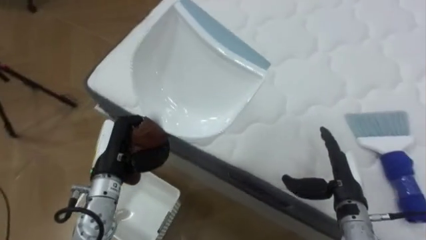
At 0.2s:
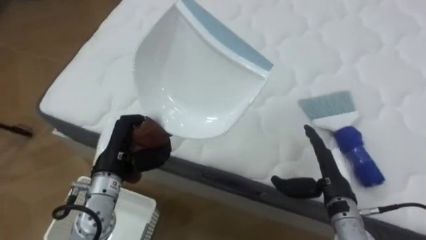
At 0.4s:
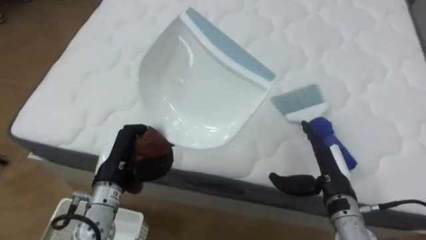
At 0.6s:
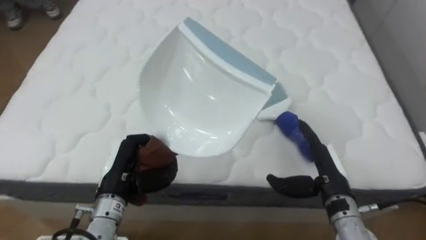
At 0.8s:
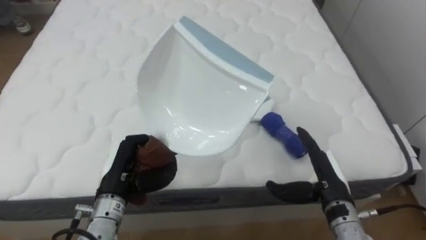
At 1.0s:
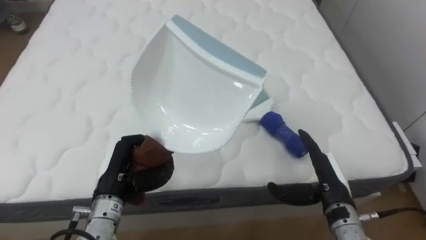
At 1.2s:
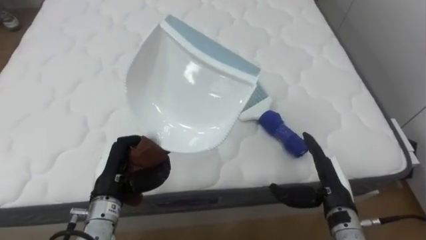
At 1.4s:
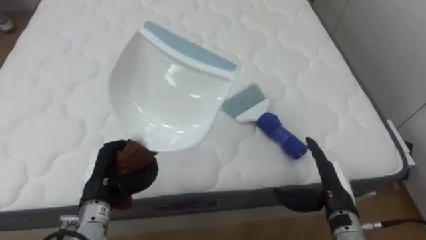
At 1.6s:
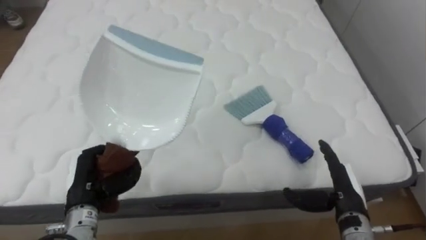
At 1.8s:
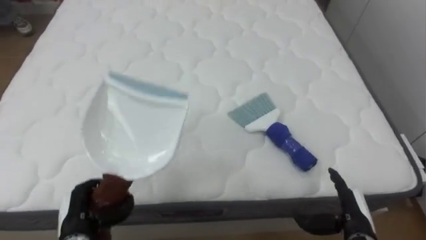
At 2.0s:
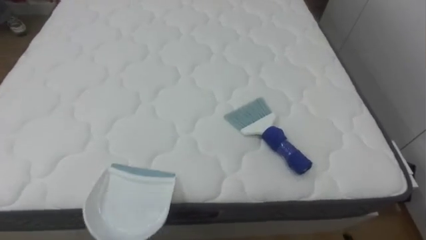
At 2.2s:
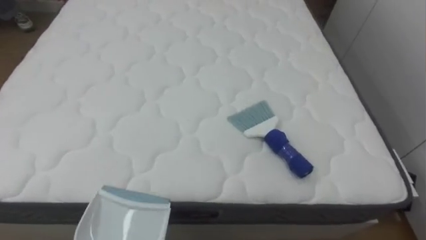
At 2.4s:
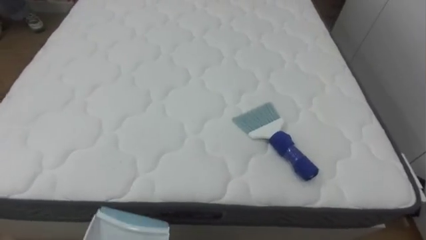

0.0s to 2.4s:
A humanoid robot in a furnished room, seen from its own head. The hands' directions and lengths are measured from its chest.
Task of the whole recording: Pick up the brush on your right and the dustpan on your left. Use the brush to sweep the crumpled paper on the bed into the dustpan, then turn left and empty it into the basket.
0.0s to 1.2s: The robot faces about 30 degrees further to its right.

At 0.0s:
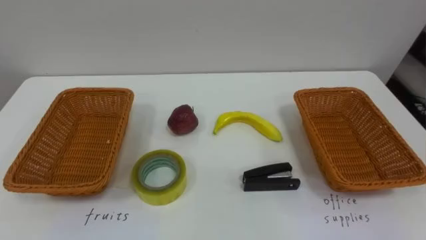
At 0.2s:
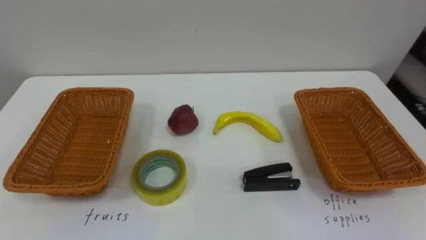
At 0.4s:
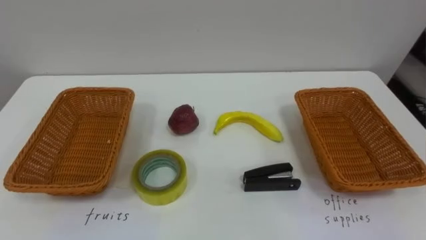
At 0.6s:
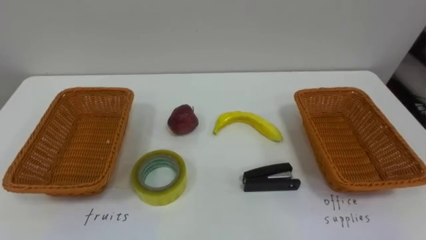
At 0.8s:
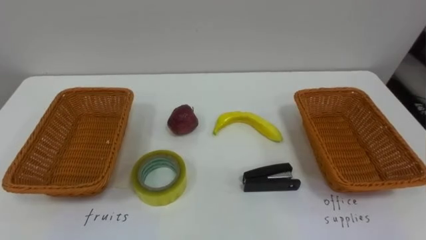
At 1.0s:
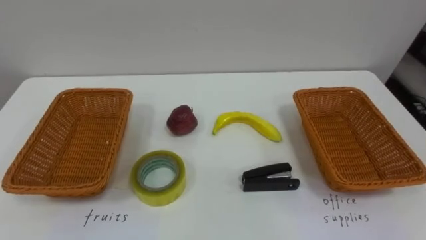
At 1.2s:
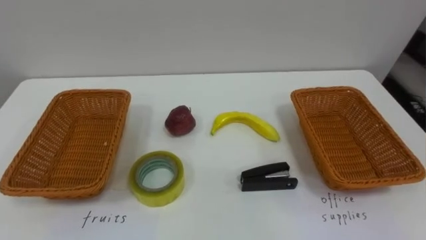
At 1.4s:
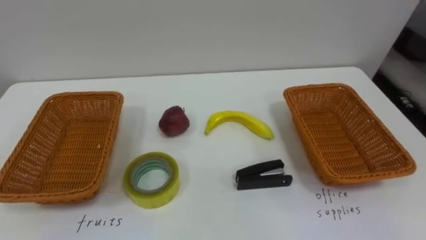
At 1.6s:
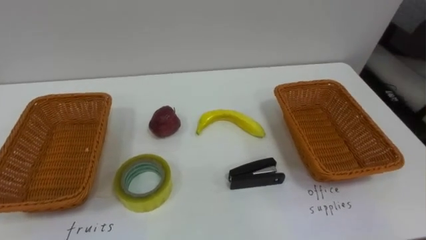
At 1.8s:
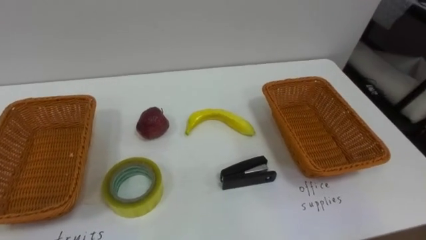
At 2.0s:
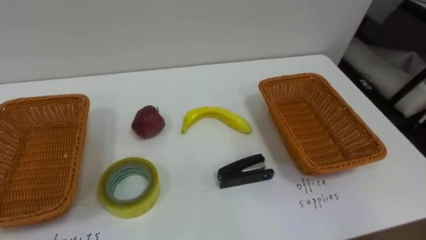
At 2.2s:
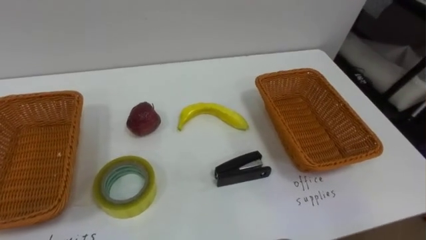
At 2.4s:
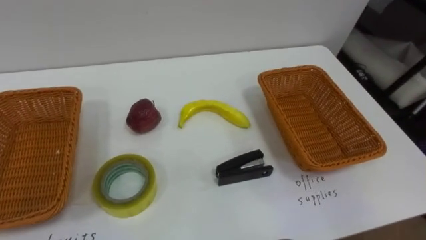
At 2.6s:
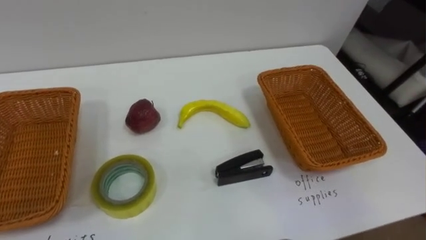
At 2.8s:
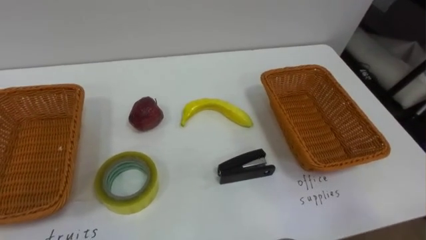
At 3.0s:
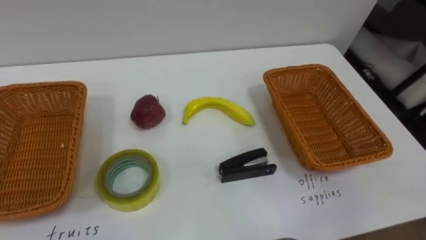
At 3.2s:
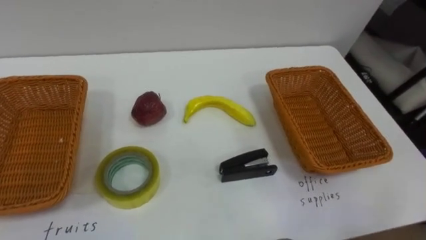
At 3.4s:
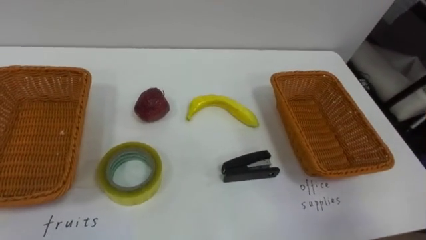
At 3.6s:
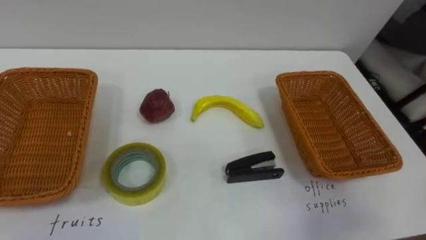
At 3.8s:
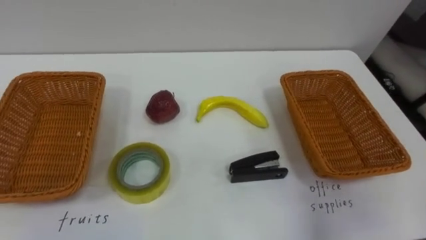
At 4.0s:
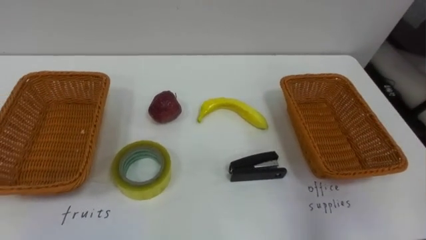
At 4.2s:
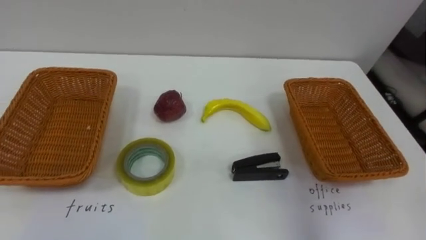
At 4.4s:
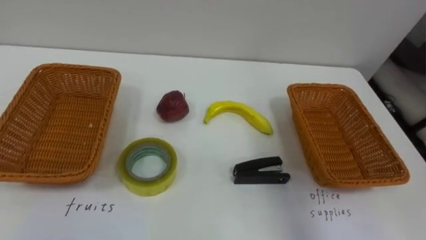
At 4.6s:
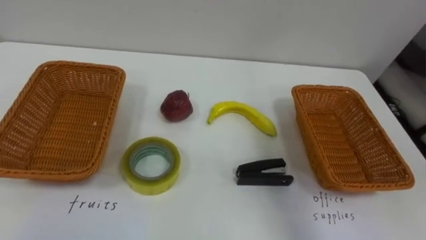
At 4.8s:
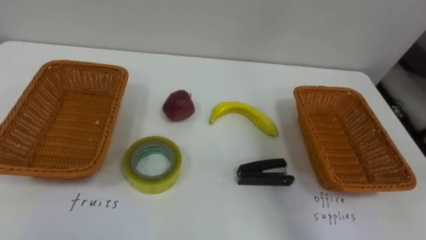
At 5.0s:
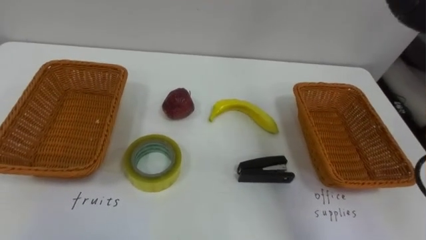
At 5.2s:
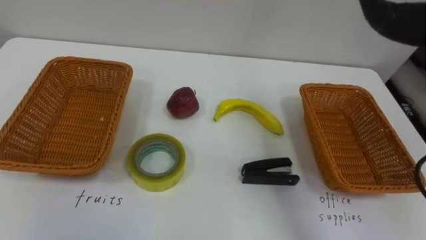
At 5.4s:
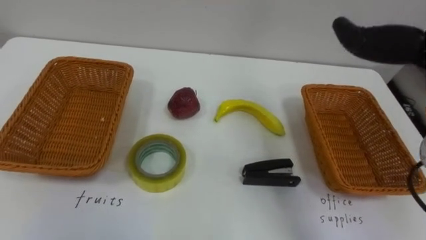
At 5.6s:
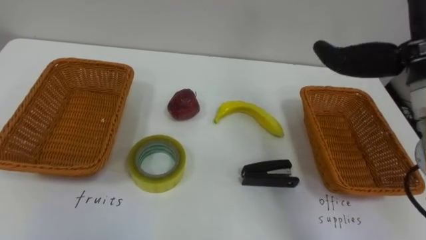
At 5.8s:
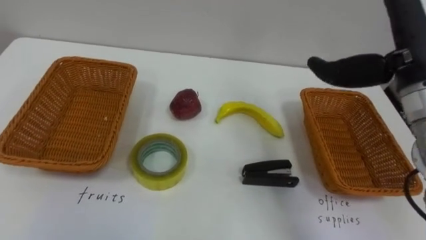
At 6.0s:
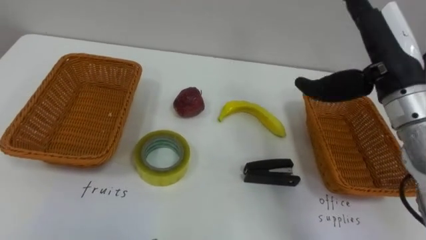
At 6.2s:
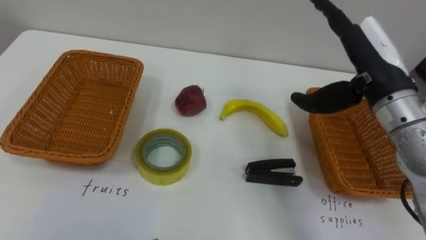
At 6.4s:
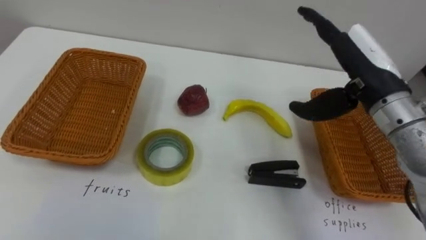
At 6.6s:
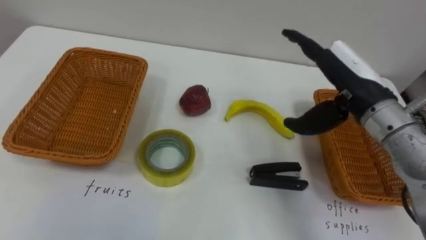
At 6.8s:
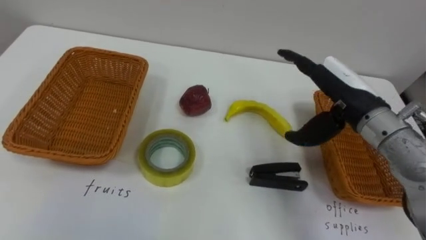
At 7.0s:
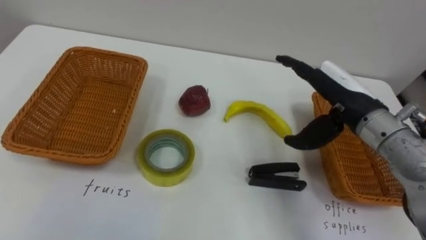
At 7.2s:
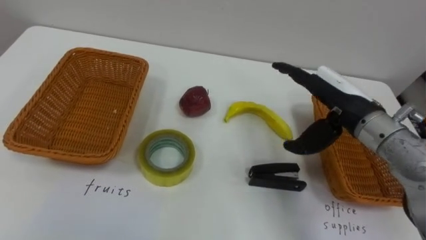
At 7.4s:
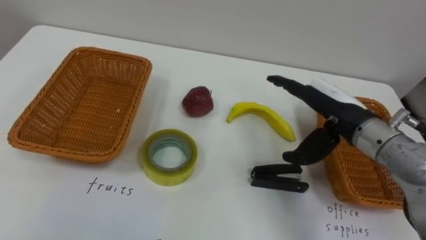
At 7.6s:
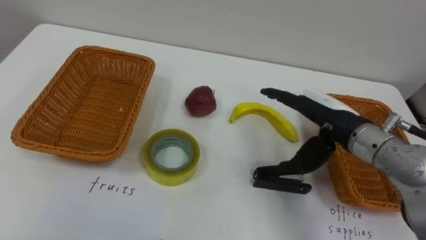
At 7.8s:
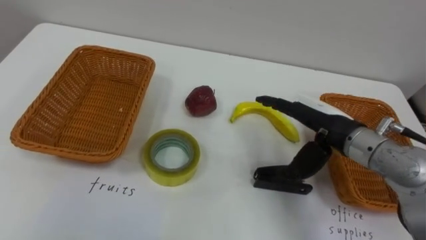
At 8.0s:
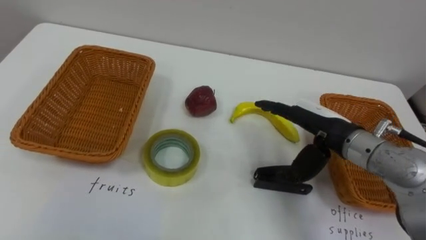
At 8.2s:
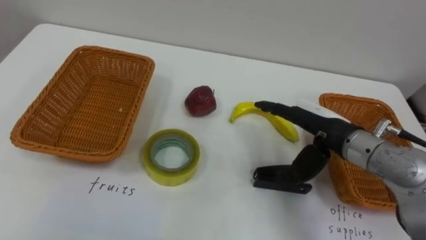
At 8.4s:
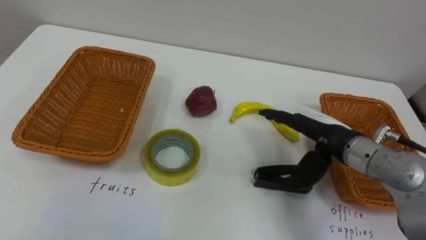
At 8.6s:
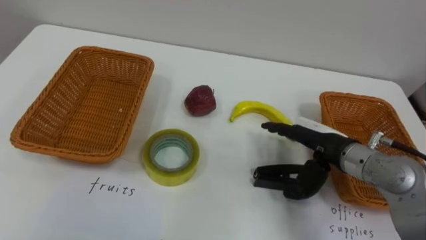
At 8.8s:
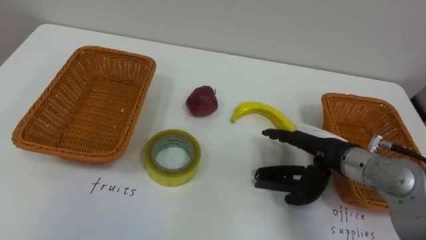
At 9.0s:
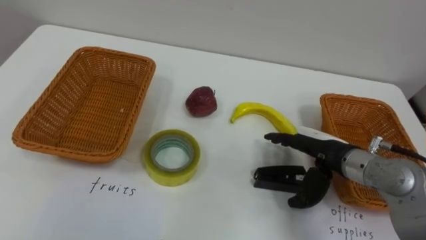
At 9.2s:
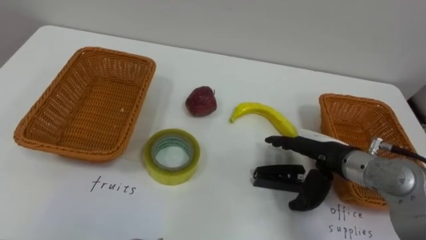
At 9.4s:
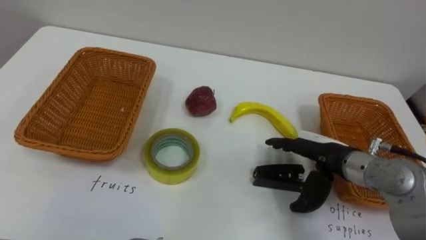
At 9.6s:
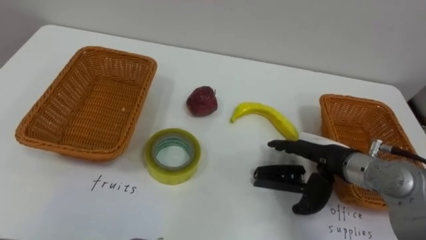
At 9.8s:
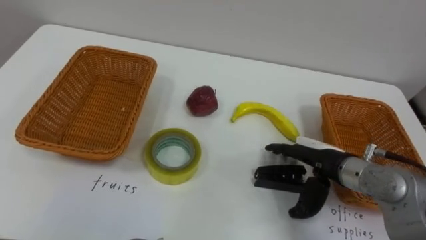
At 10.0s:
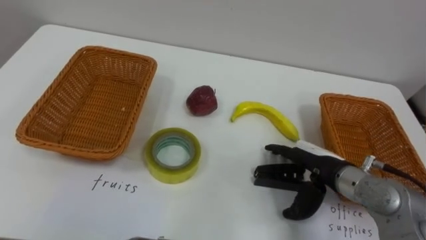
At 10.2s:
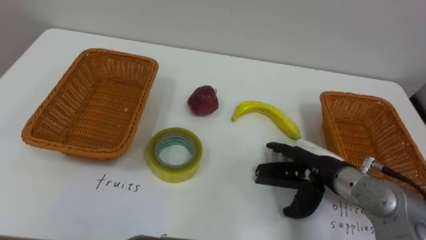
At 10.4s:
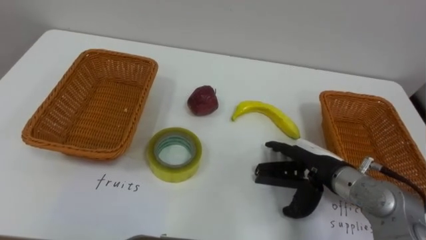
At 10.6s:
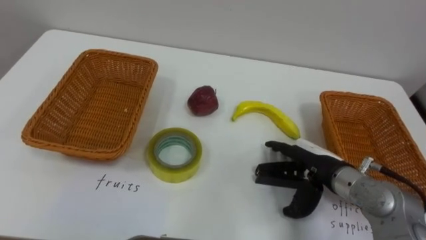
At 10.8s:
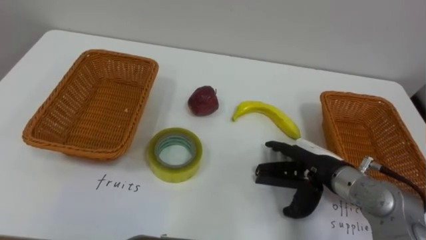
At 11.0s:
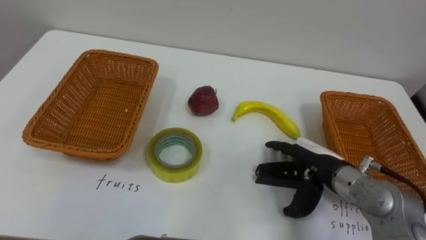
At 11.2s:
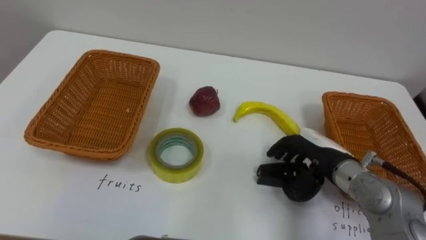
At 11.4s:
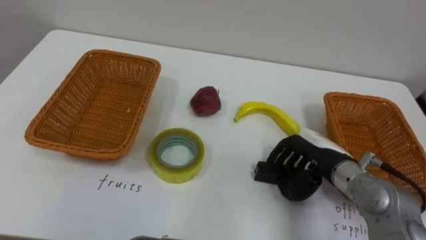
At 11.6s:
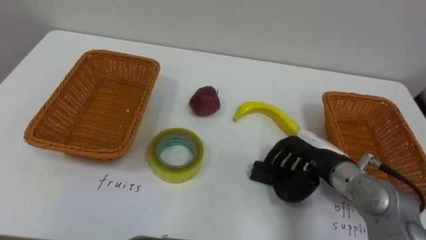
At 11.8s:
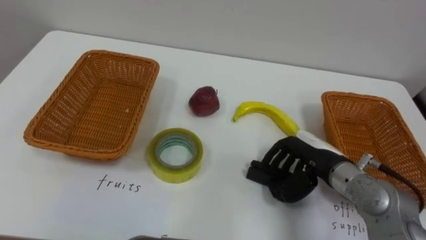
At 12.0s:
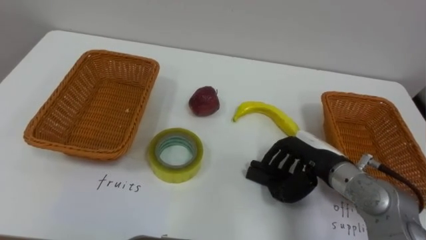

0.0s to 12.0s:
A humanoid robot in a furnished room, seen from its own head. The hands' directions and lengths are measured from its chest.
Task of the whole recording: Separate the items on the table and place them into the two baskets.
6.0s to 7.6s: The right hand shifts roughly 10 cm downward.
7.6s to 9.0s: The right hand moves downward, approximately 5 cm.
10.4s to 12.0s: The right hand closes its fingers.

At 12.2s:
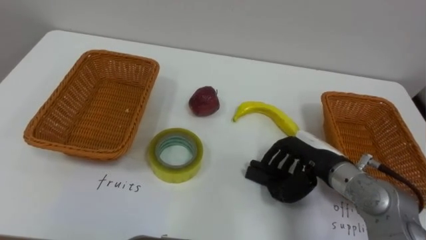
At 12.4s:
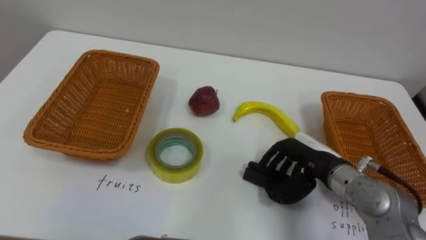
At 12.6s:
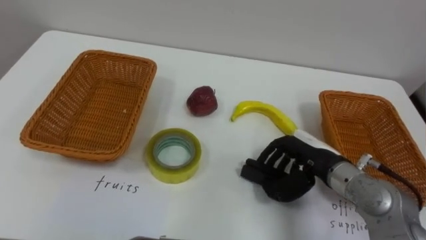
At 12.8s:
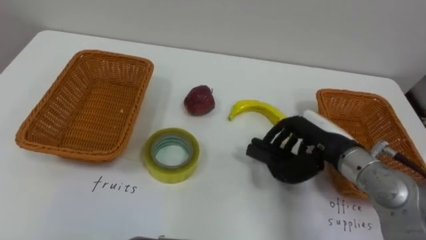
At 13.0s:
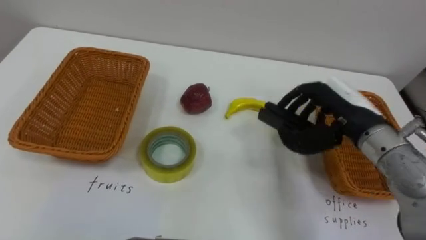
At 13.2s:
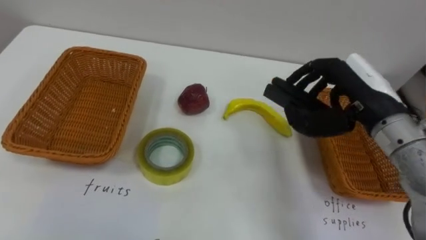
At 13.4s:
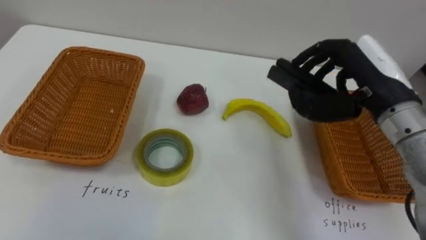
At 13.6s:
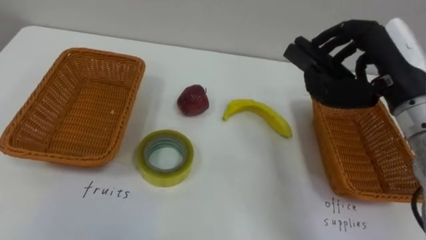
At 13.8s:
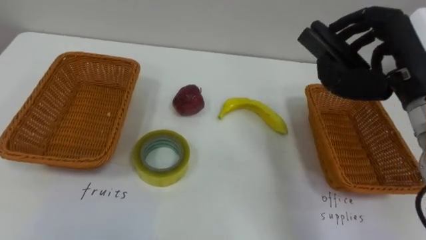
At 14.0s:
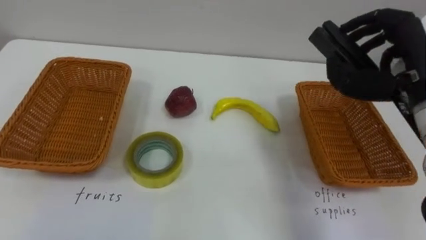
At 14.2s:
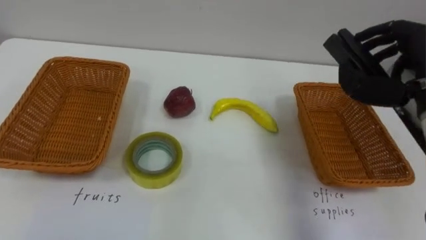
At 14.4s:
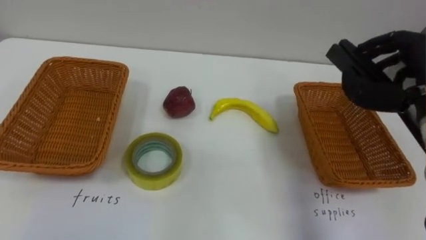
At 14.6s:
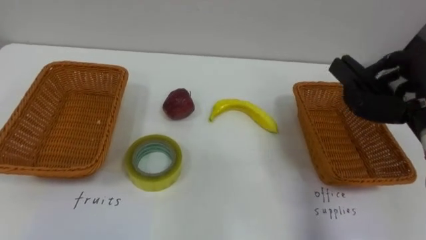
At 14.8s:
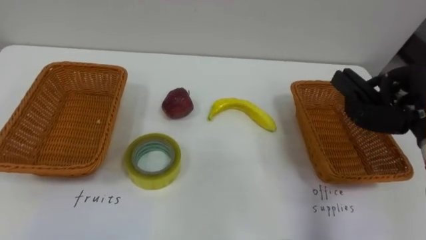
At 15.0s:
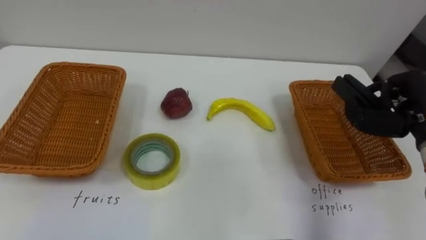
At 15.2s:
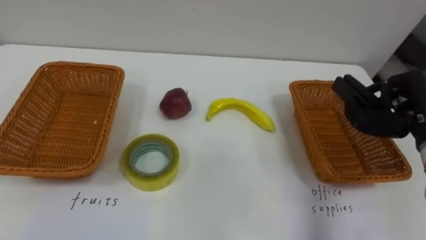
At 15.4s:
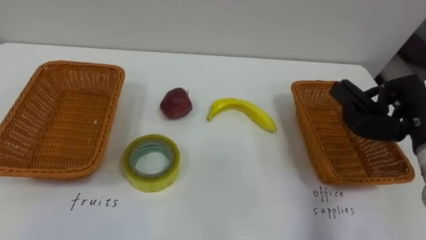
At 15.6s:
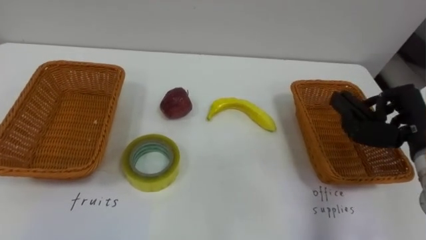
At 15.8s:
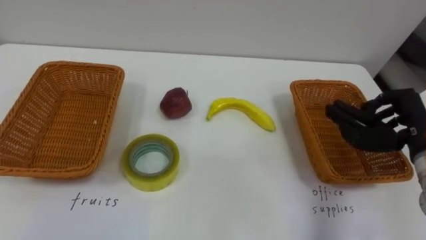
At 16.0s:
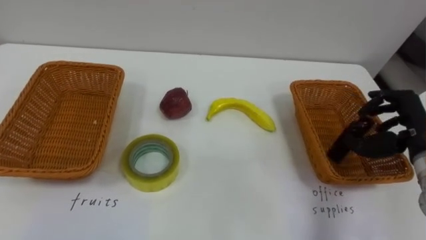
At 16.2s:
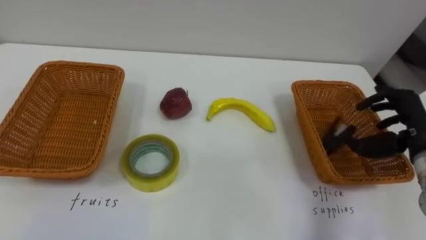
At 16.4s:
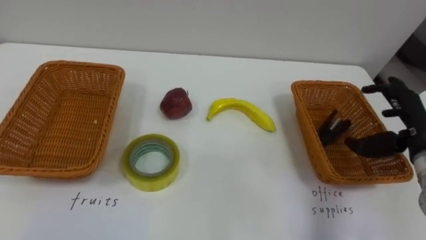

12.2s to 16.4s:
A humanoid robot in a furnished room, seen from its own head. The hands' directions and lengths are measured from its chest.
Task of the whole recording: Separate the items on the table and place them into the two baskets.
12.2s to 13.6s: The right hand travels upward by approximately 20 cm.
15.0s to 16.4s: The right hand opens up.
